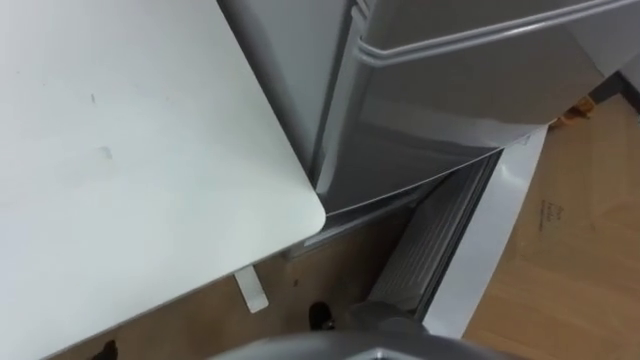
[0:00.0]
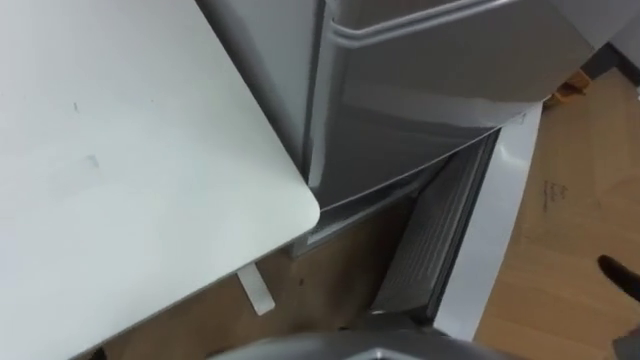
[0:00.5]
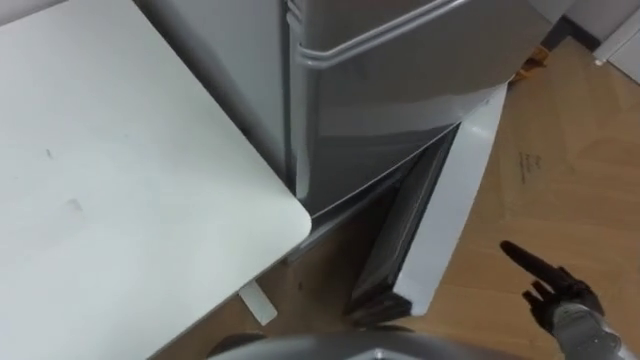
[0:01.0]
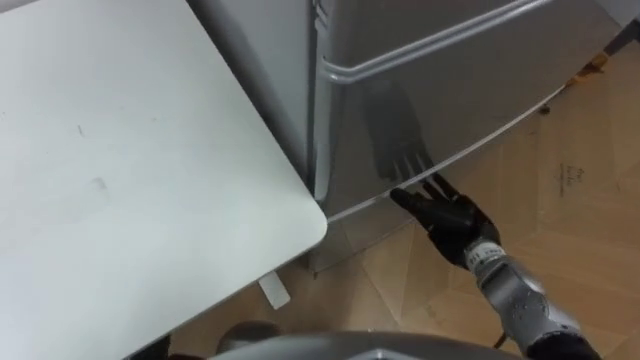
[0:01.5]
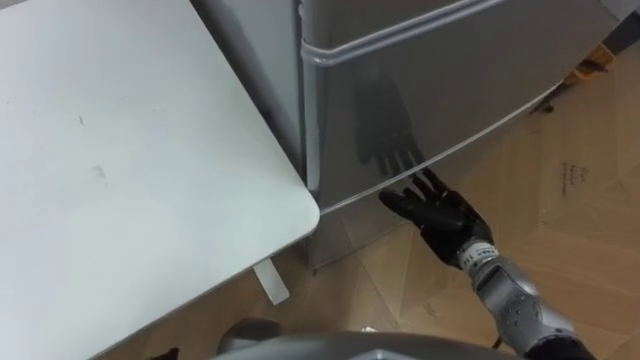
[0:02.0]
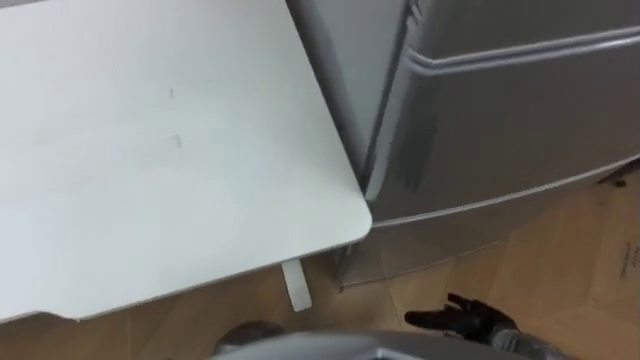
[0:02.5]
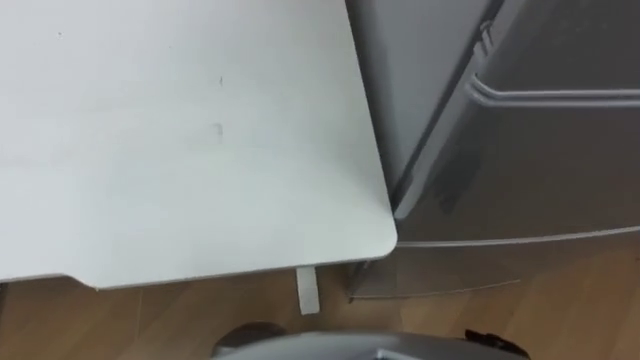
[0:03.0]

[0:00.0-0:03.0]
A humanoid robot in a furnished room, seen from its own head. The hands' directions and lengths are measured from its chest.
Task of the whole recording: Place the drink on the table on the bottom shelf of the refrigerator, then close the drawer and the refrigerator door.
0:01.5 to 0:03.0: The robot rotates about 30 degrees to its left.

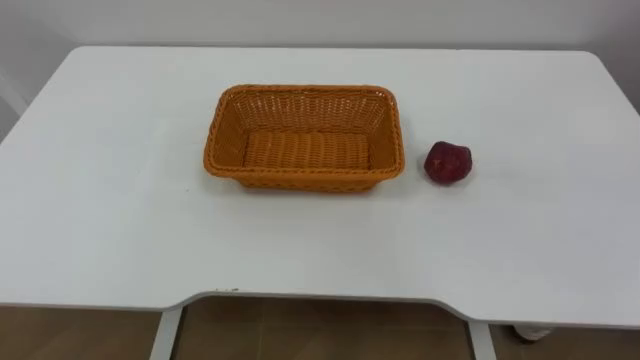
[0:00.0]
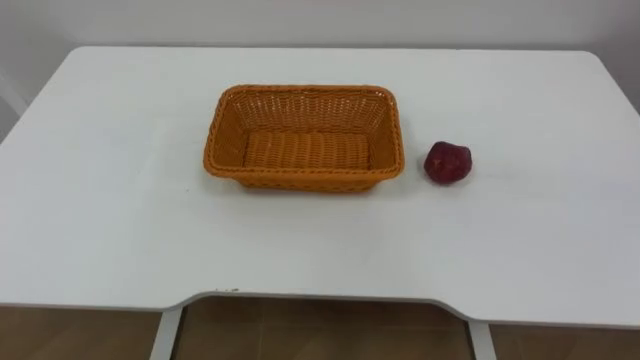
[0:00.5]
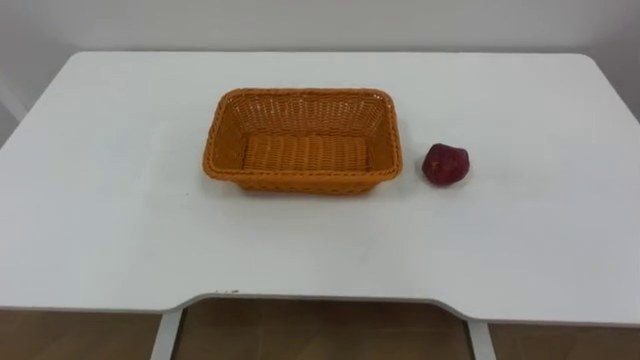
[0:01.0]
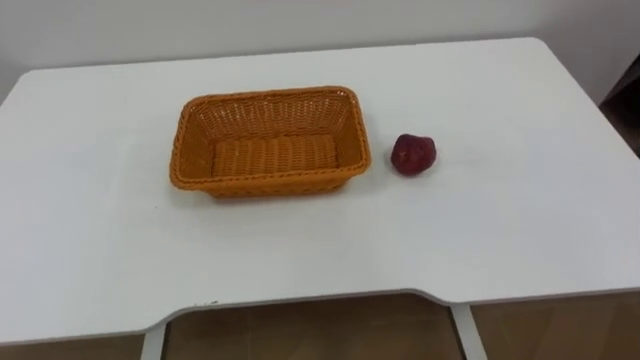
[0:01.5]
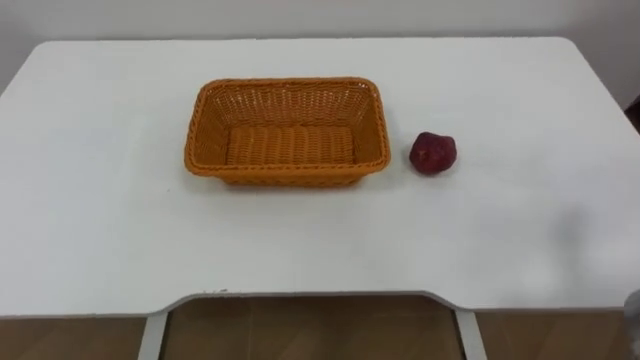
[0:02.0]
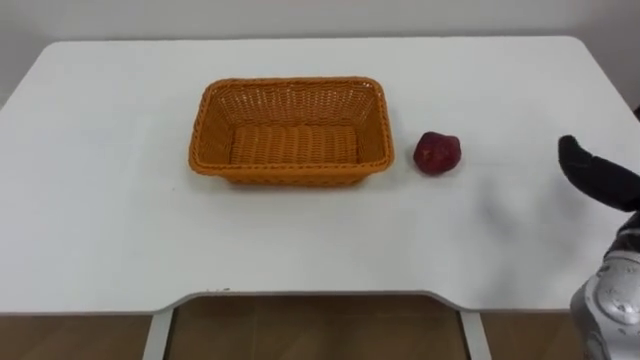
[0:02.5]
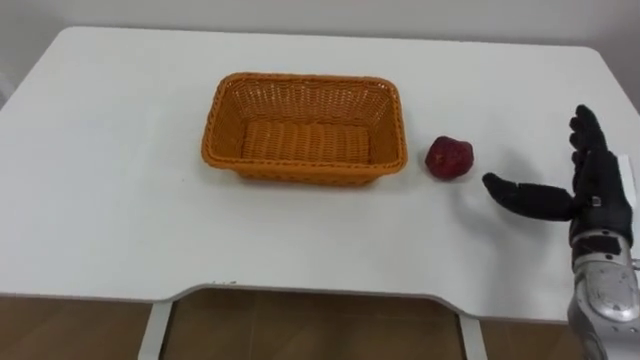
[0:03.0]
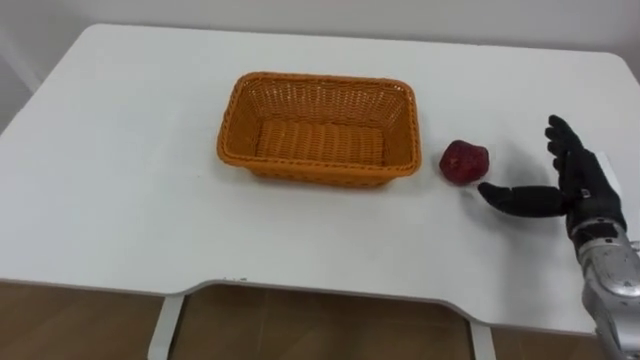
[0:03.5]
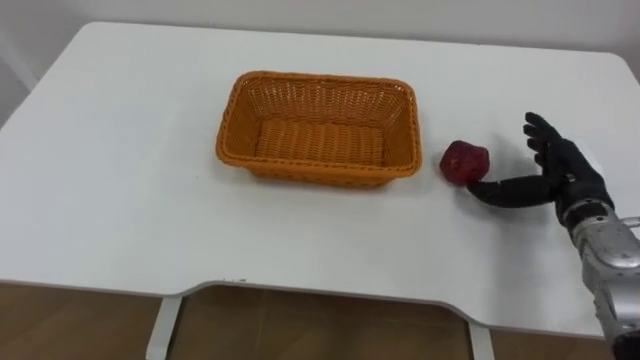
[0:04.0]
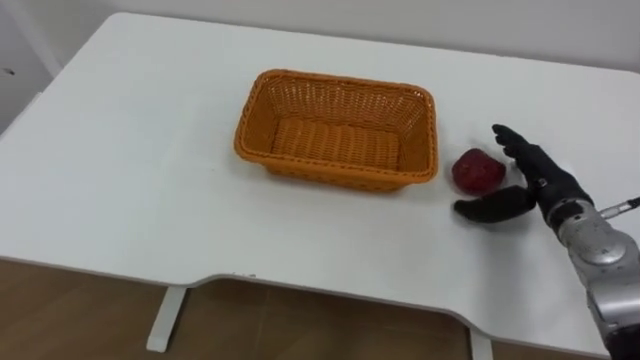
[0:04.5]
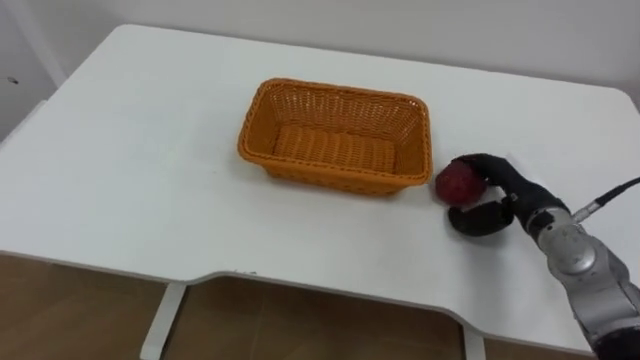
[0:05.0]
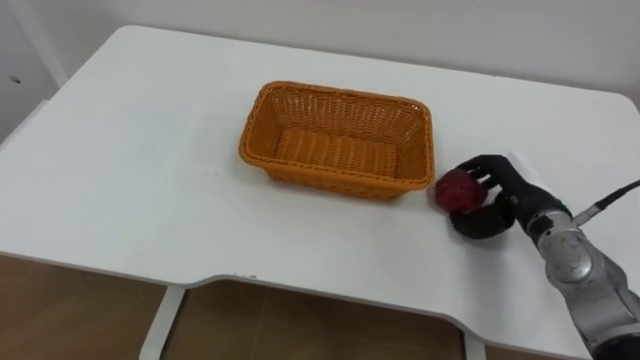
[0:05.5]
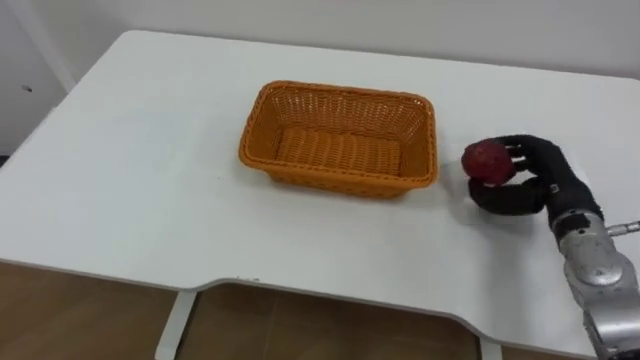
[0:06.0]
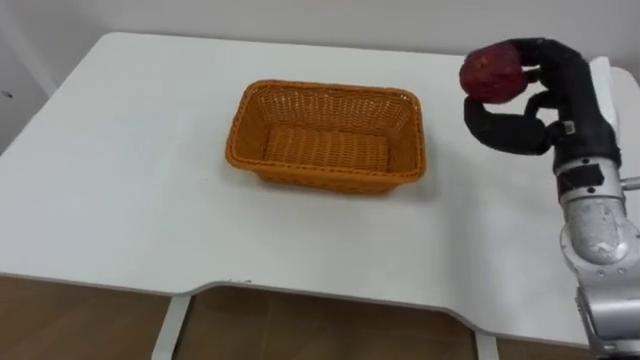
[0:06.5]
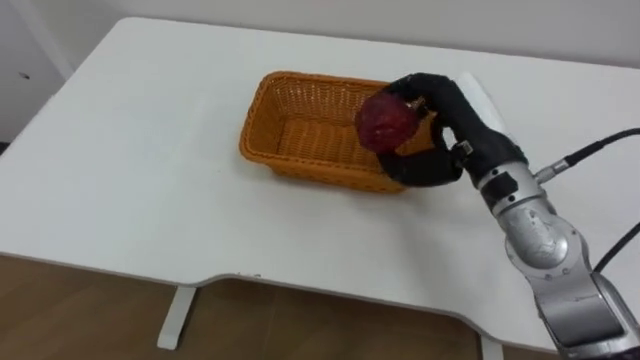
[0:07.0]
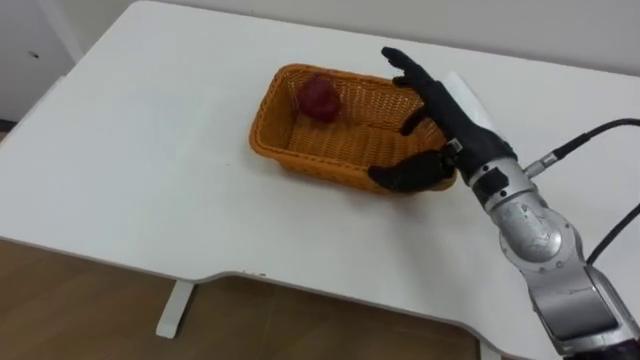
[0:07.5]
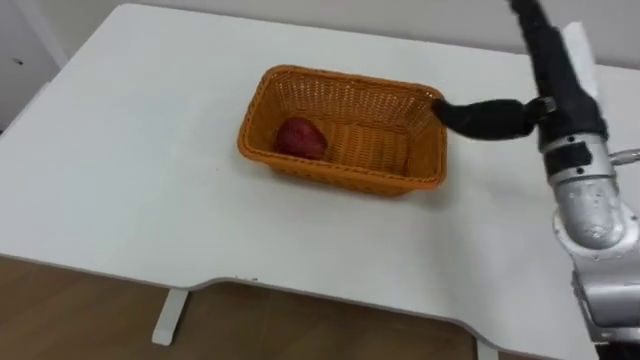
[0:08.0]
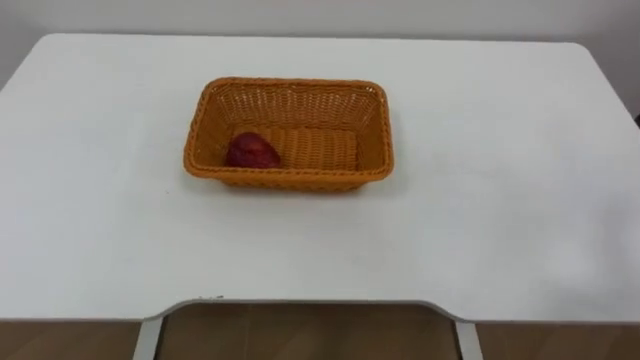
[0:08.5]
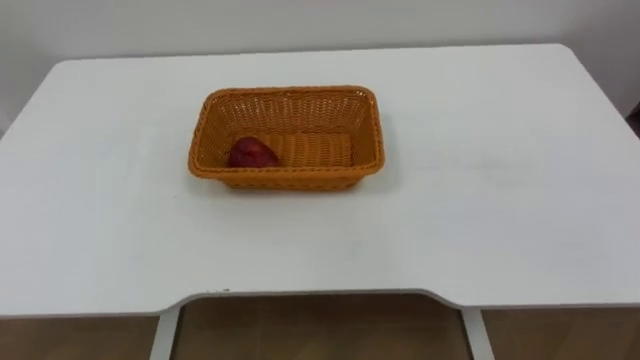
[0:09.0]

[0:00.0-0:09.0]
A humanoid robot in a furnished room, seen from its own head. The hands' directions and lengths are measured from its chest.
Task of the whole recording: Pick the apple and place it in the box.
0:04.5 to 0:07.0: The right hand shifts about 15 cm to the left and upward, and closes.

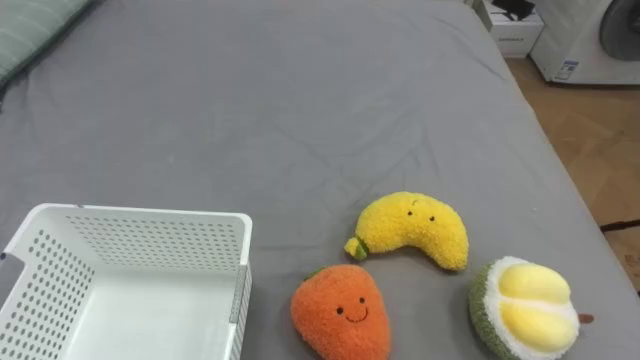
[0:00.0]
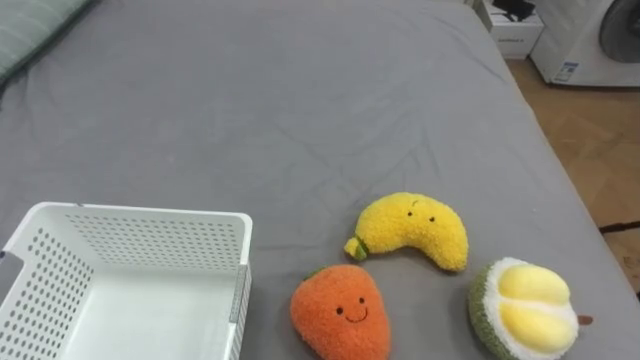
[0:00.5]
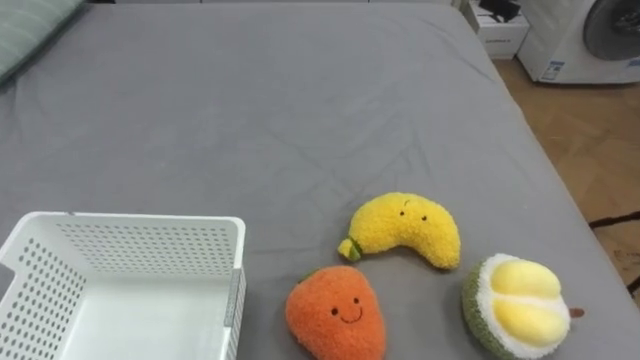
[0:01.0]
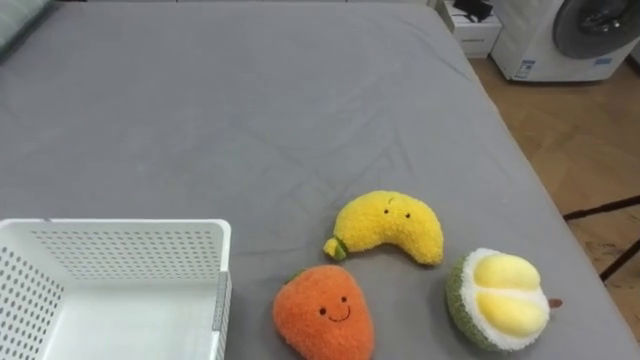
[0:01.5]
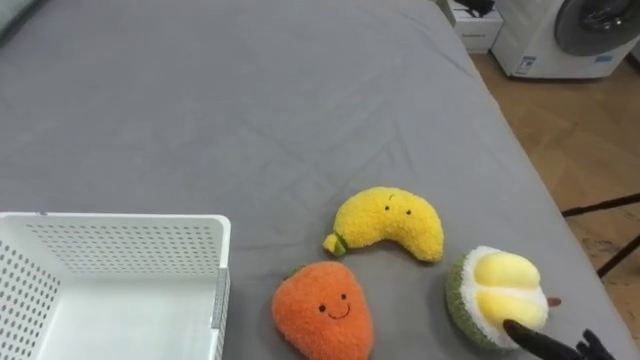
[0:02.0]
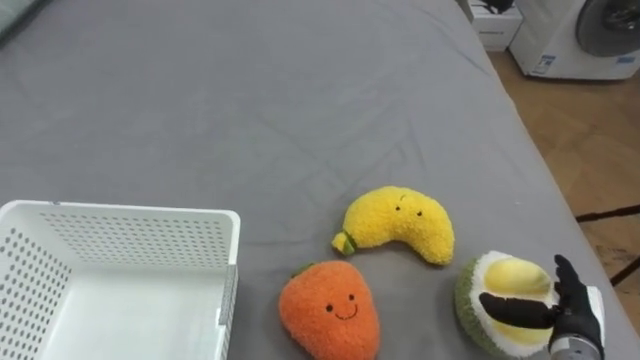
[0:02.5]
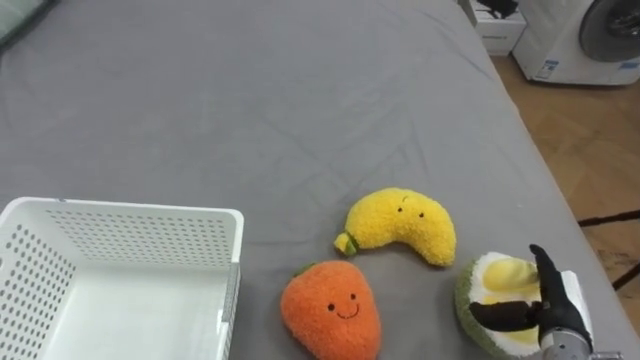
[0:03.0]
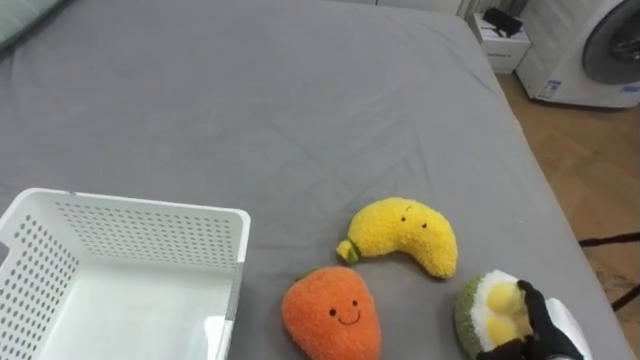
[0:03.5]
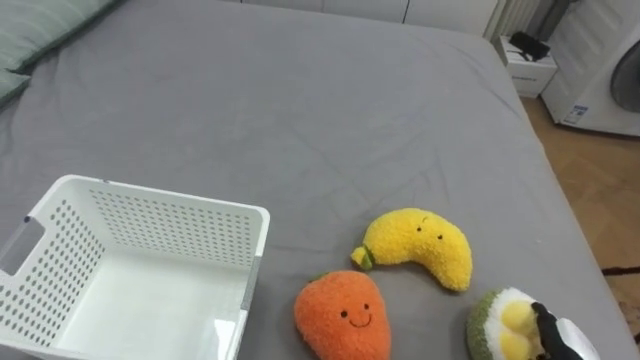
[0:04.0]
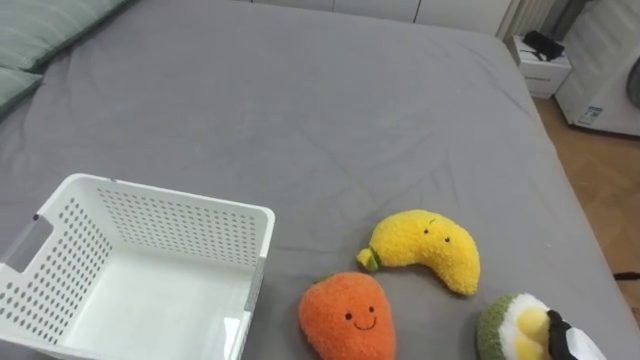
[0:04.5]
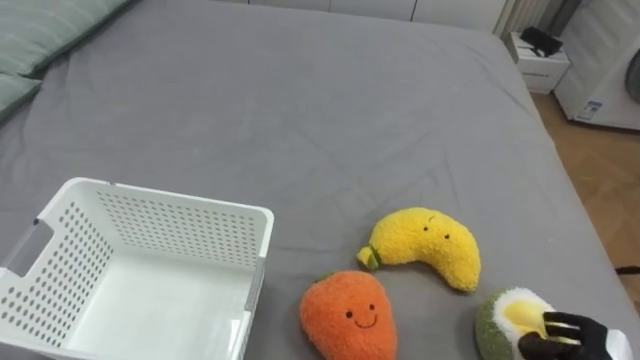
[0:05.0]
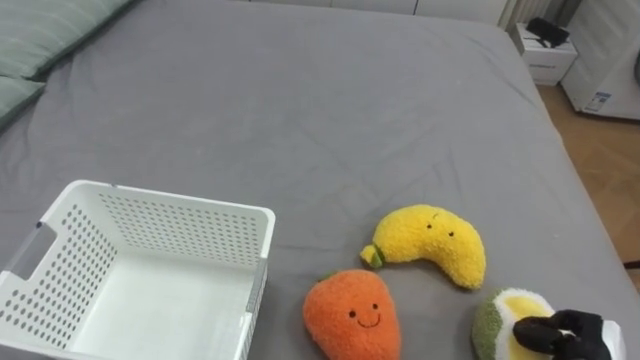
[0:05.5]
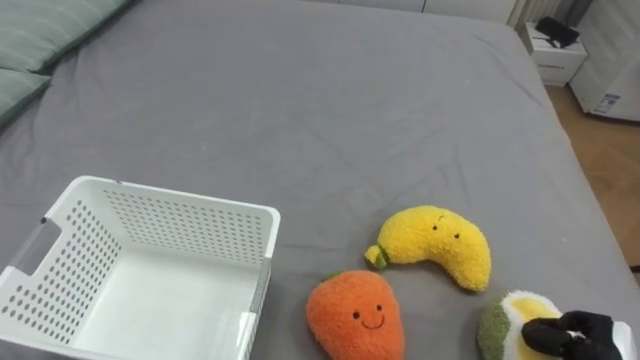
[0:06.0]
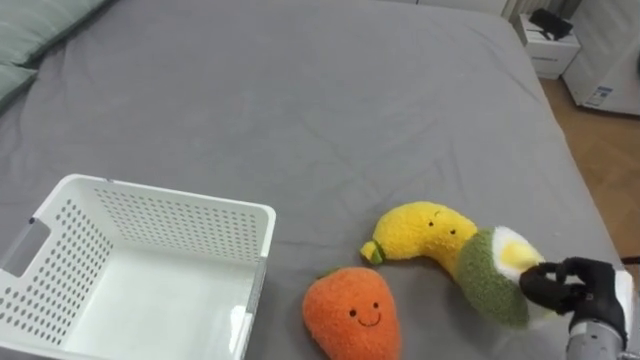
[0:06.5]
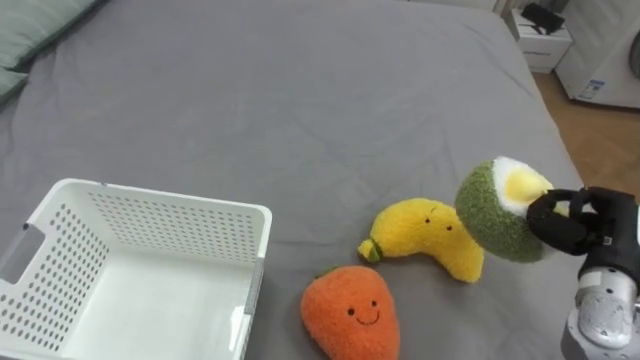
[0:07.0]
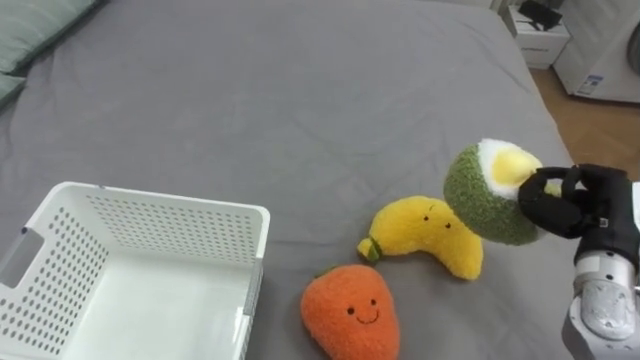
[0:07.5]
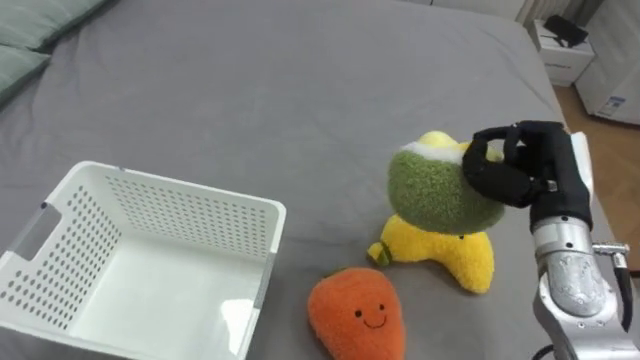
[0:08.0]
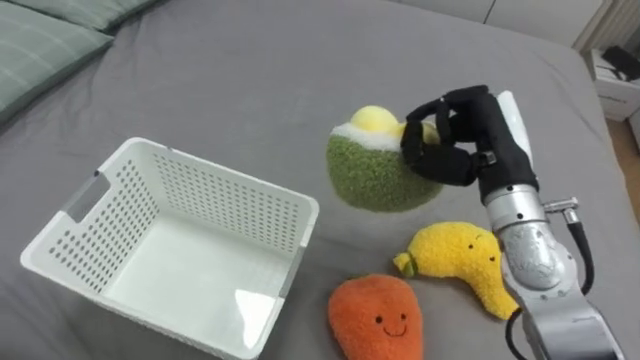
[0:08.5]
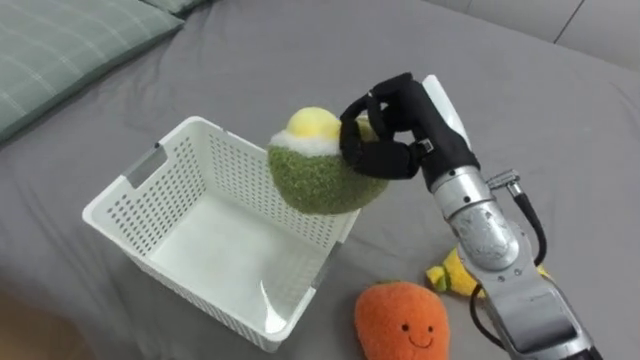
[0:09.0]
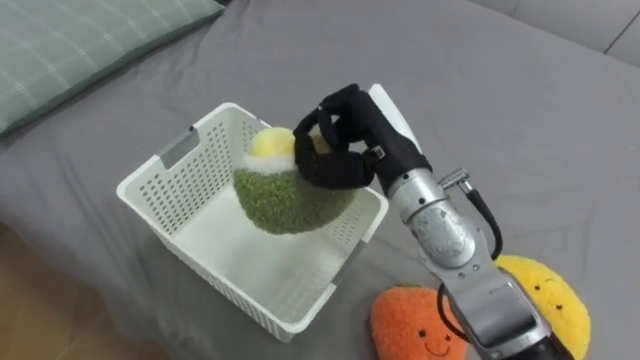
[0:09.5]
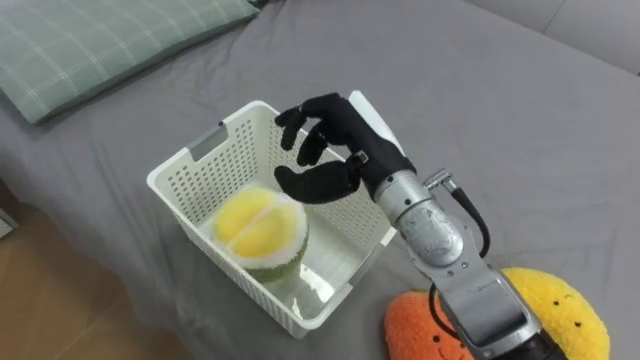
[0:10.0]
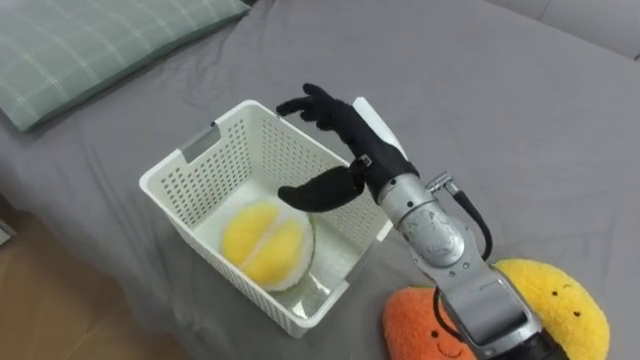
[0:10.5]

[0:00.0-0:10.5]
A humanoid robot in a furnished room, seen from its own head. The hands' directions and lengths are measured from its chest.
Task of the whole recording: Put the toys on the bed into the basket on the left.
0:06.5 to 0:08.5: The right hand is displaced upward, to the left and forward by some 25 cm.
0:08.5 to 0:10.5: The right hand goes some 15 cm to the left, and opens up.
